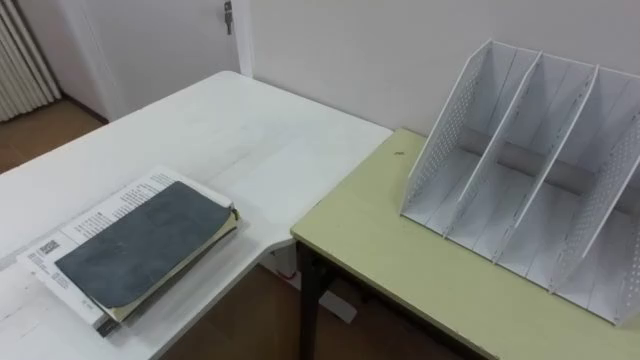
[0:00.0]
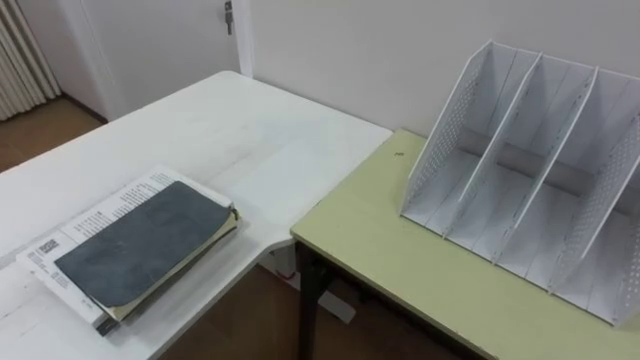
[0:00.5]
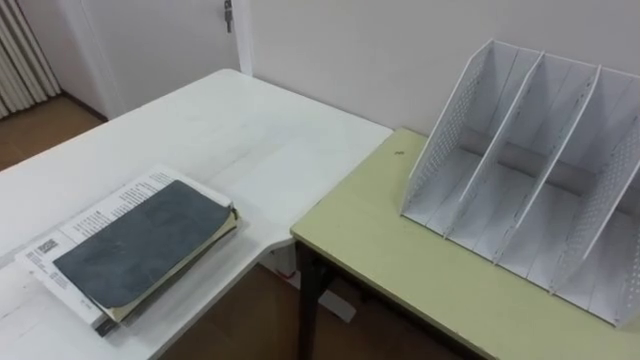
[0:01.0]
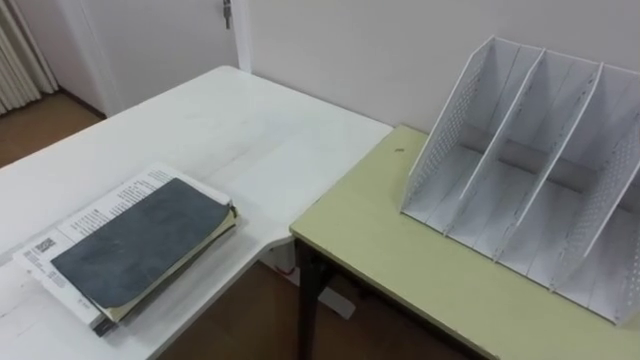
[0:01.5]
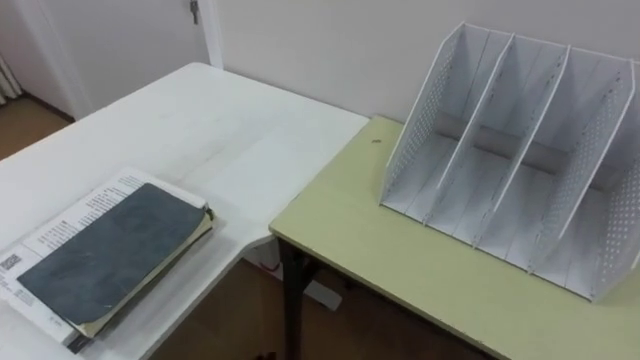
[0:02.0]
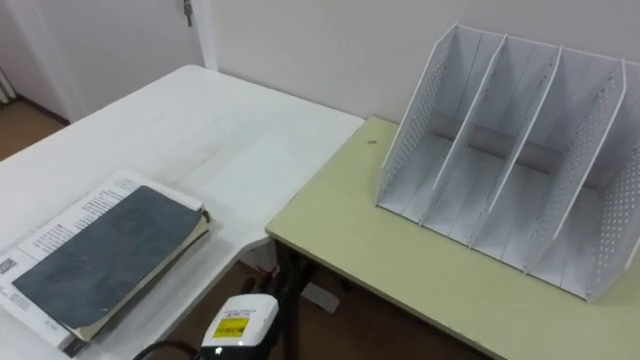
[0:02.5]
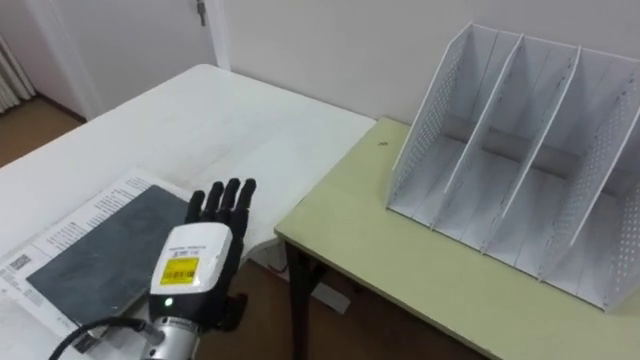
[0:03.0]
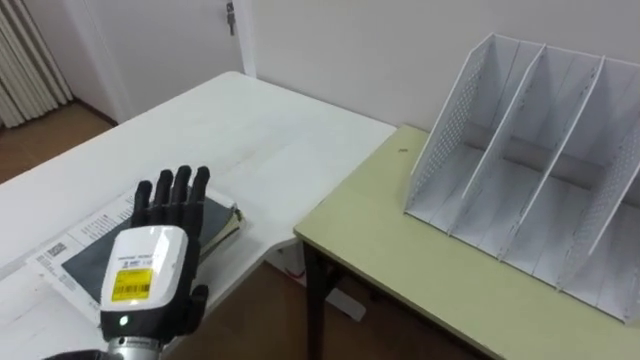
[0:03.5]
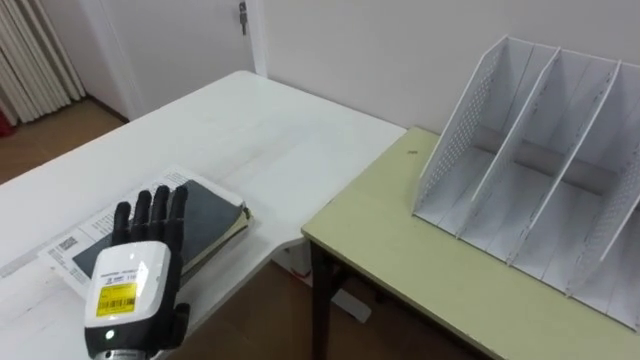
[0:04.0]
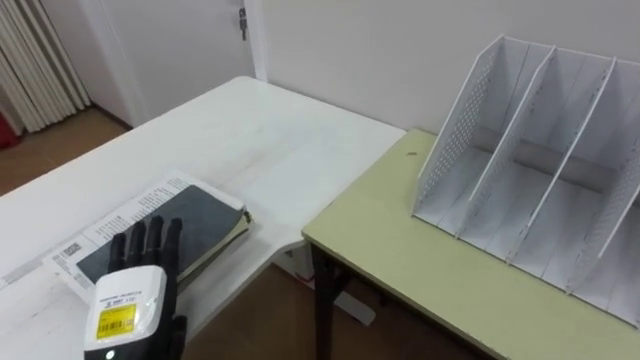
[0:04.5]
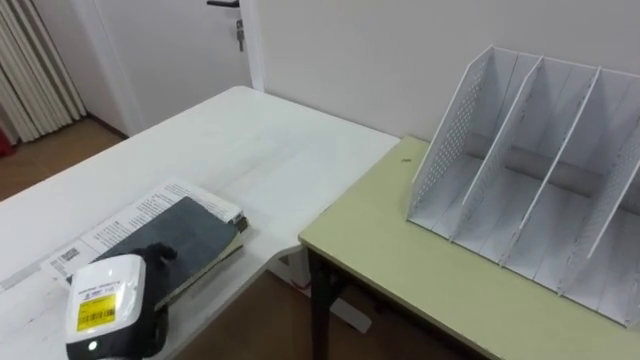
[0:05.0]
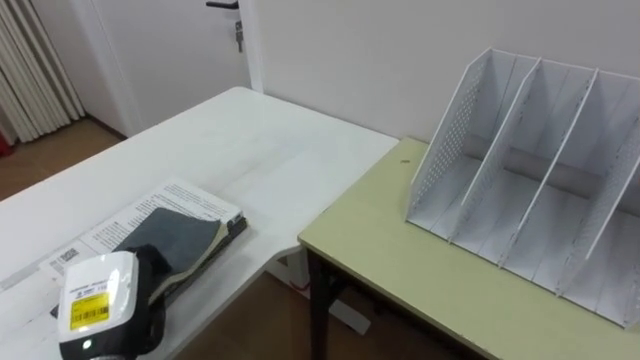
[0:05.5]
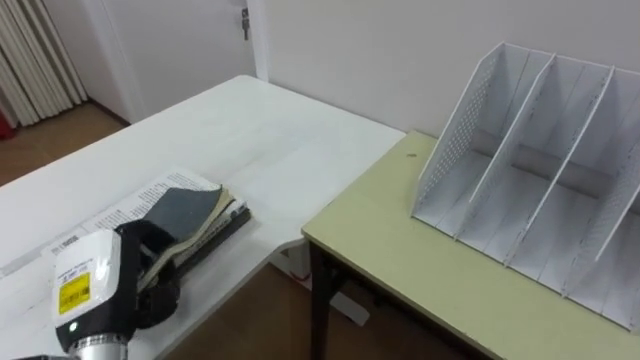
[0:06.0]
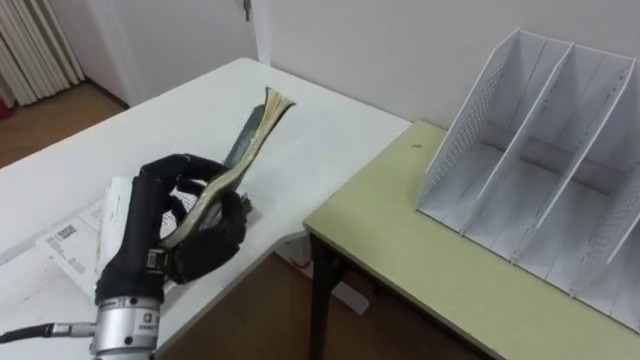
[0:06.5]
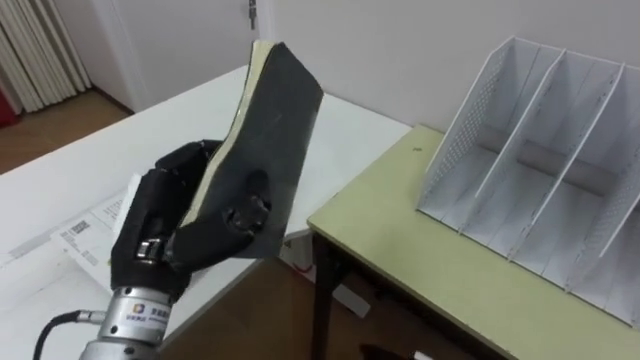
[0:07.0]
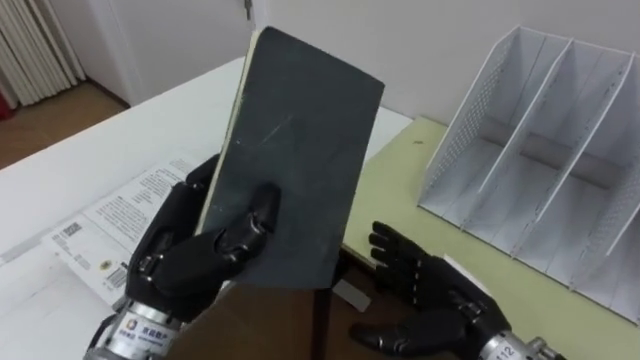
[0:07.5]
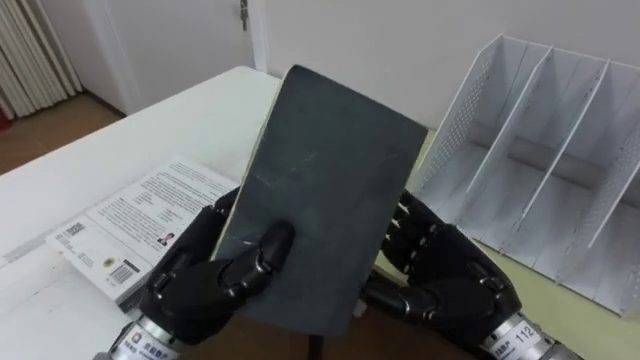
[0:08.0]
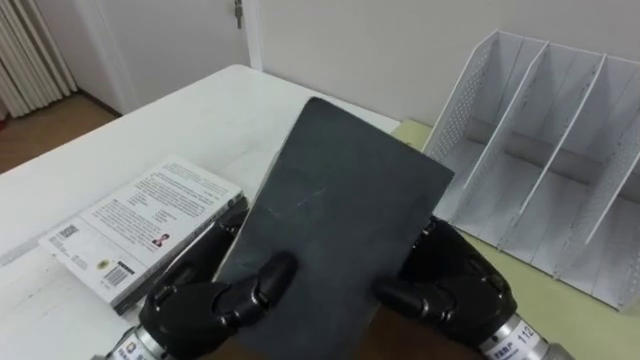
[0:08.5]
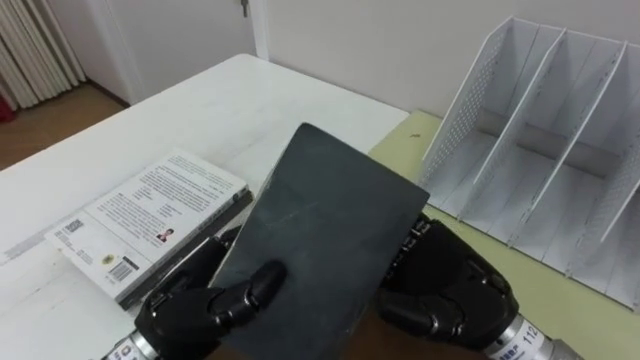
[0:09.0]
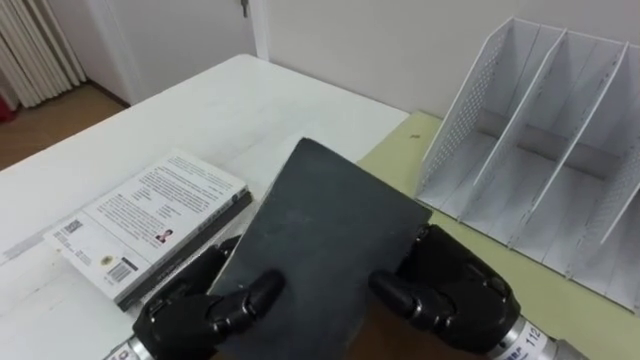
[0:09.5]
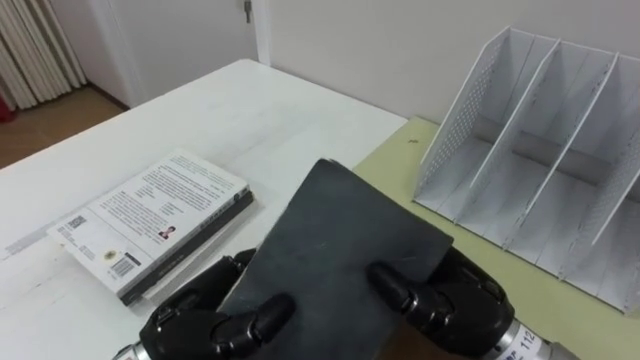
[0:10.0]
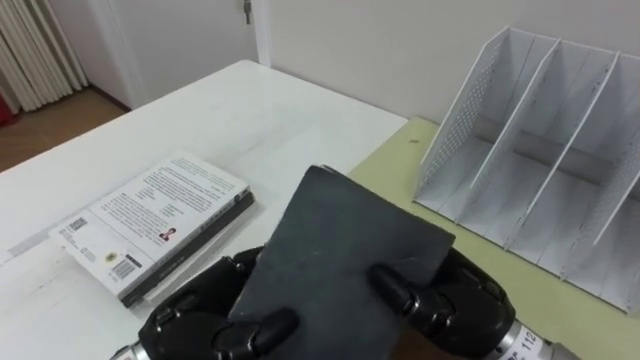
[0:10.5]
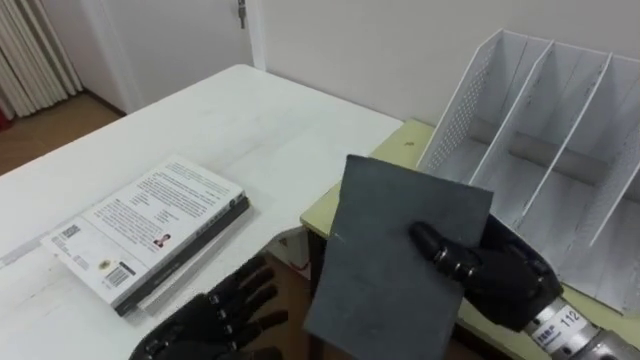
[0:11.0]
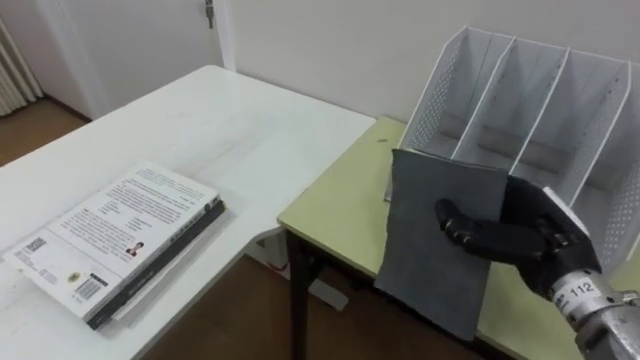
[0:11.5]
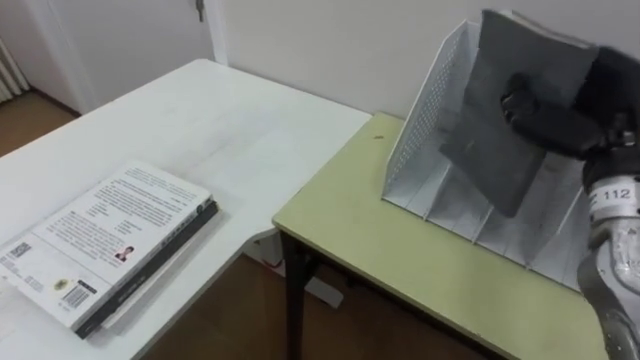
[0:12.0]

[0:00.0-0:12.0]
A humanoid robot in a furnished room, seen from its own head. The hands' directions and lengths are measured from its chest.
Task of the whole recording: Put the books on the table onto the bookshelf.
0:04.0 to 0:06.0: The left hand closes its fingers.
0:06.0 to 0:08.0: The left hand goes approximately 15 cm to the right and upward.
0:08.0 to 0:10.0: The left hand changes place by roughly 5 cm, while the right hand closes its fingers.
0:10.0 to 0:12.0: The right hand shifts about 20 cm to the right, upward and forward.

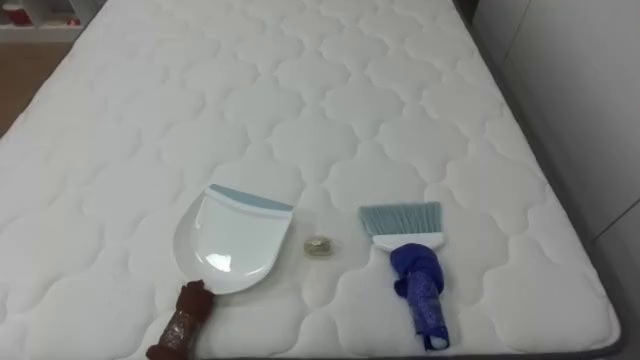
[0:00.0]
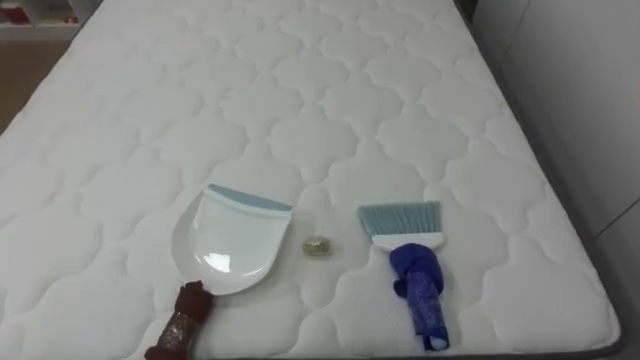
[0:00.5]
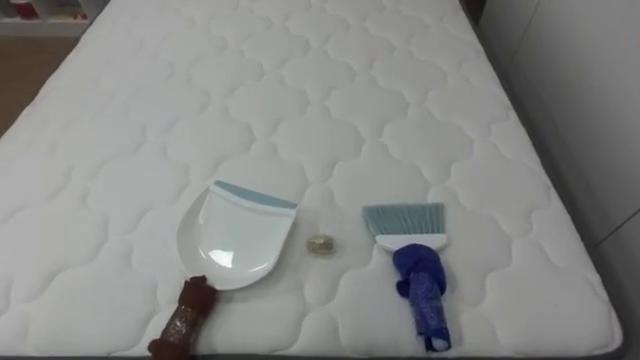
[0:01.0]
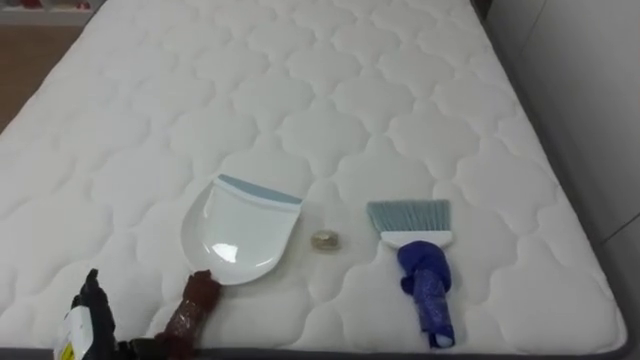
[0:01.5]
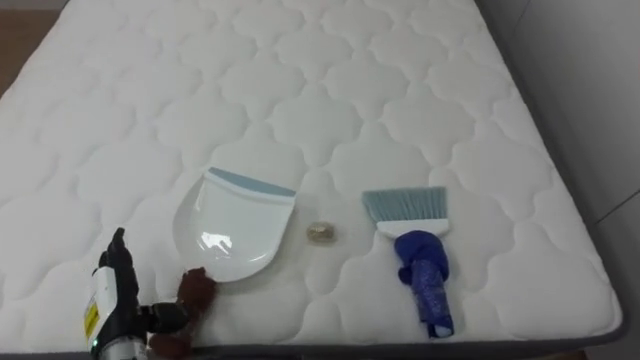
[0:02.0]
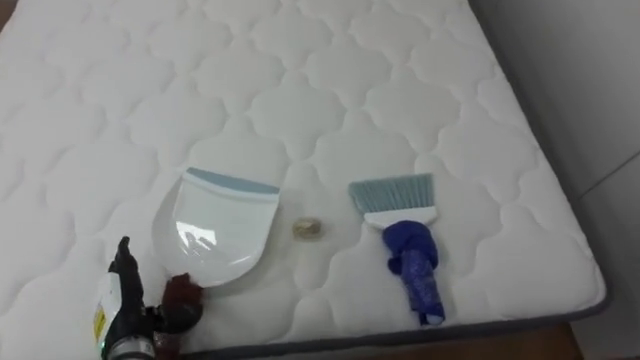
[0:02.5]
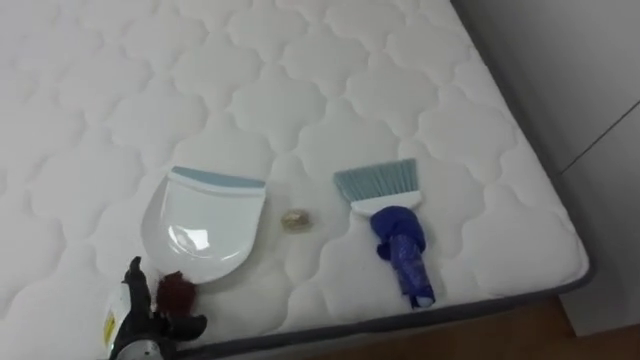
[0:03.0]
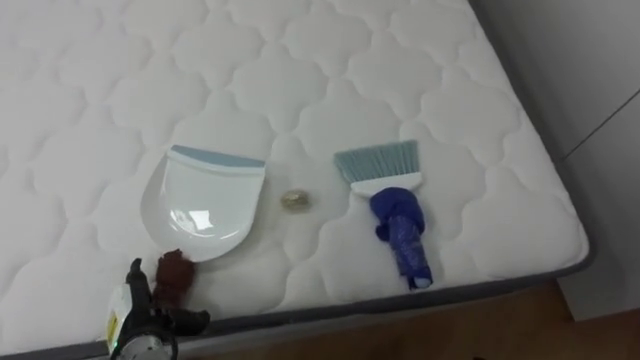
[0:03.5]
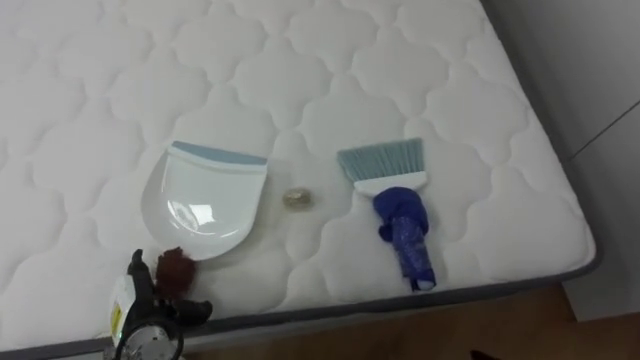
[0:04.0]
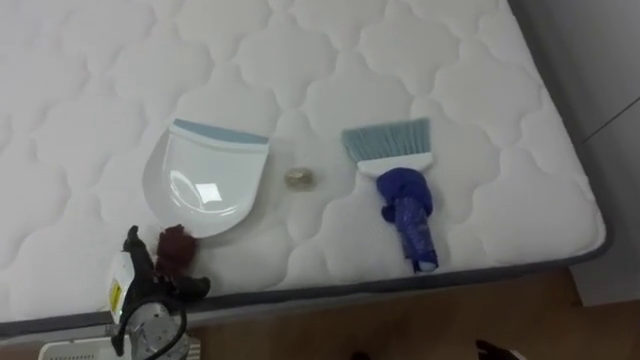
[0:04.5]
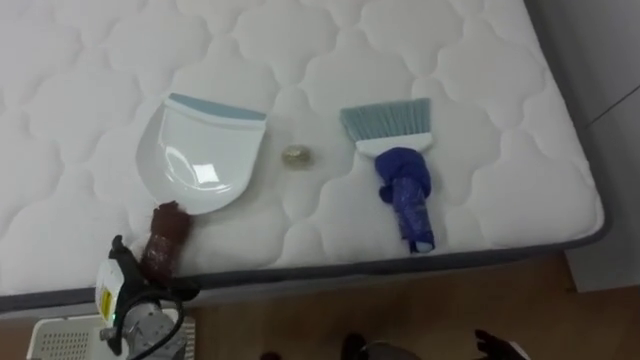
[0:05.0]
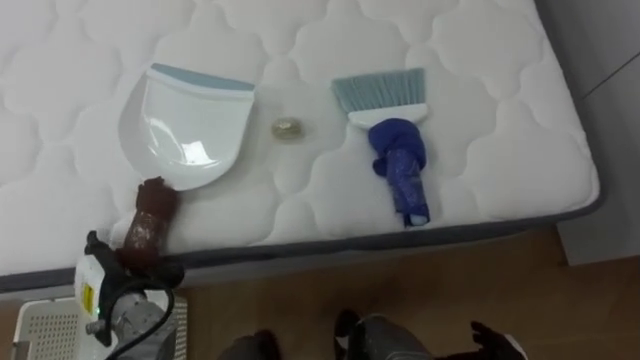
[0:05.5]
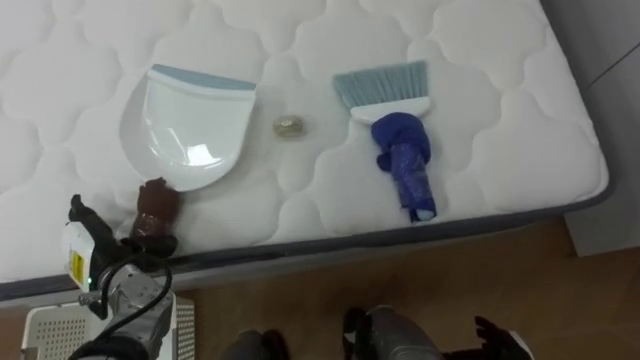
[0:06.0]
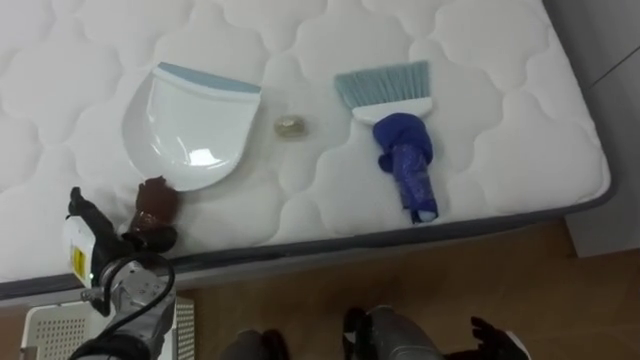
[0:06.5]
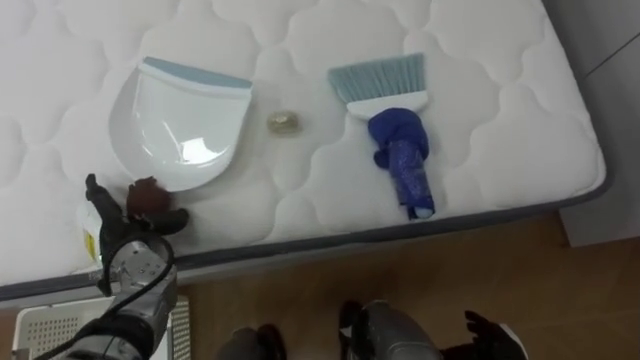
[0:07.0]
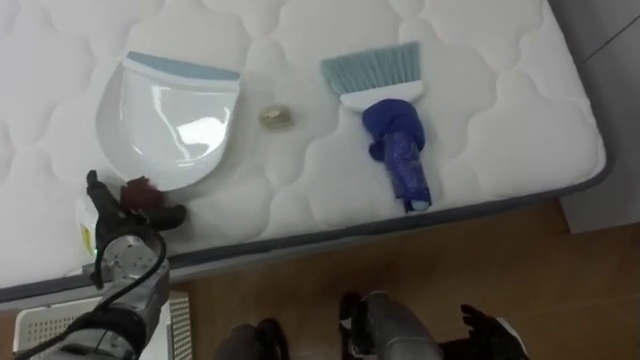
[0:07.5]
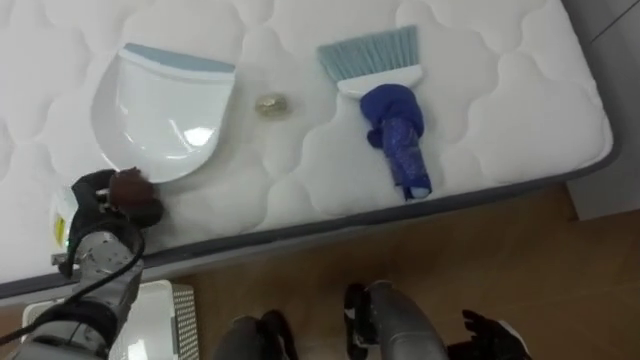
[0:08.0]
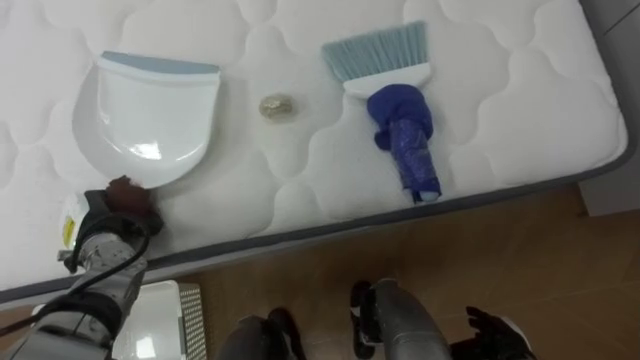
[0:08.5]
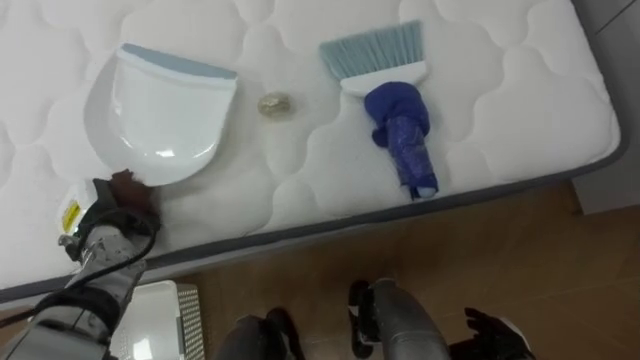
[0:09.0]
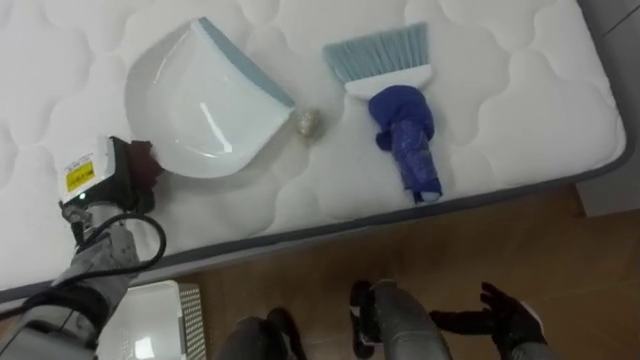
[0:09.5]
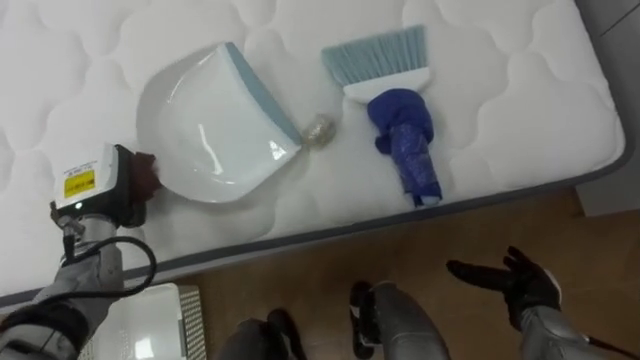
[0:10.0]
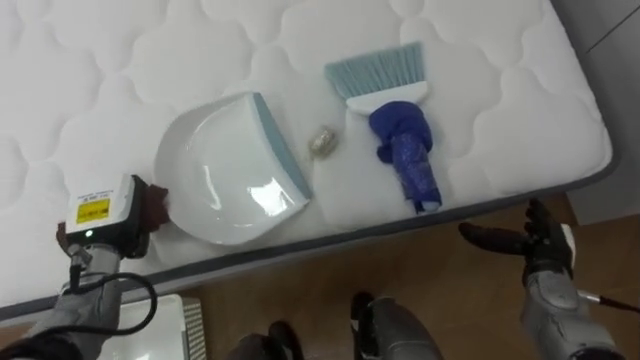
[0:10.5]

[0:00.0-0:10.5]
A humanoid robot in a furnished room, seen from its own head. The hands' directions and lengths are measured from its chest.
Task of the whole recording: Pick up the brush on your right and the dustpan on your left. Use the brush to sweep the crumpled paper on the bed into the dustpan, then turn left and empty it into the basket.
0:04.0 to 0:06.5: The left hand goes roughly 10 cm upward and forward.
0:06.5 to 0:08.5: The left hand closes its fingers.
0:08.5 to 0:10.5: The right hand is displaced forward, upward and to the right by about 15 cm.
